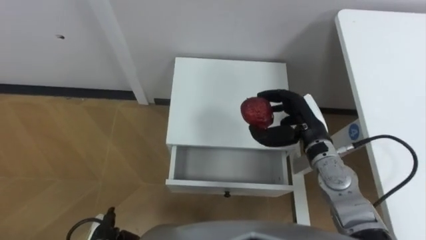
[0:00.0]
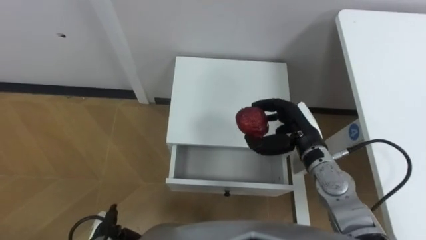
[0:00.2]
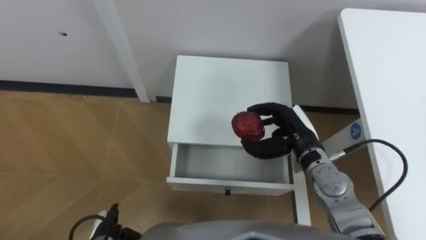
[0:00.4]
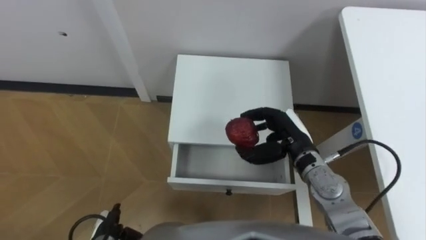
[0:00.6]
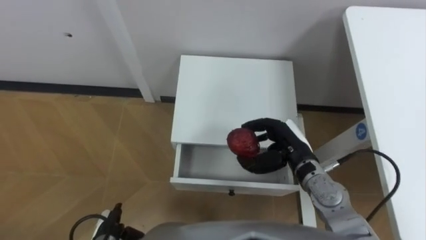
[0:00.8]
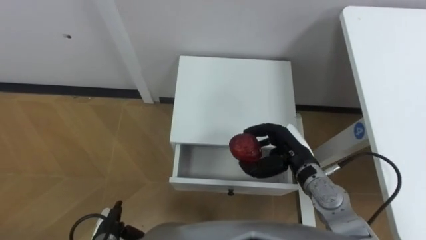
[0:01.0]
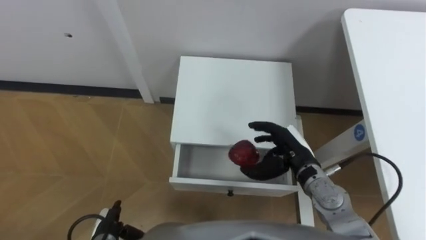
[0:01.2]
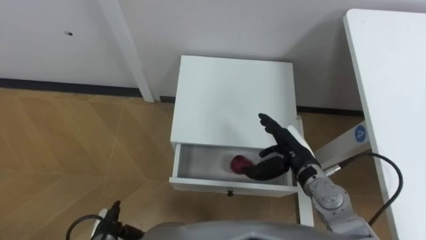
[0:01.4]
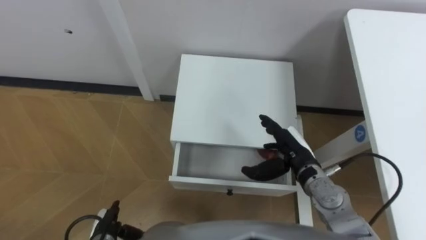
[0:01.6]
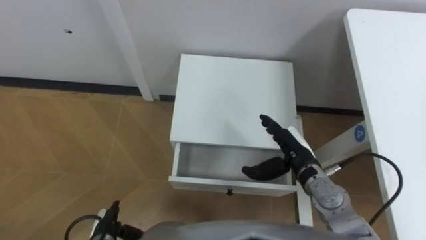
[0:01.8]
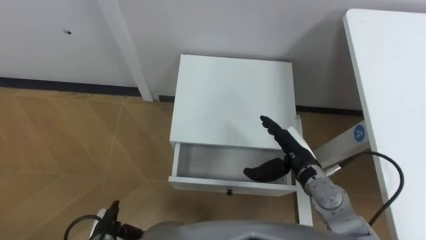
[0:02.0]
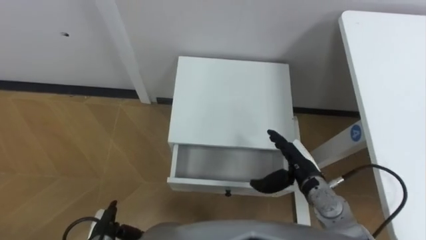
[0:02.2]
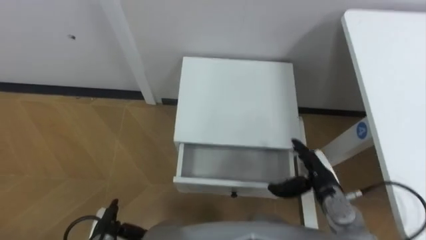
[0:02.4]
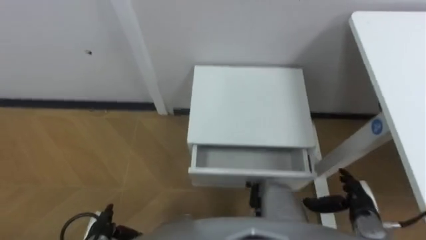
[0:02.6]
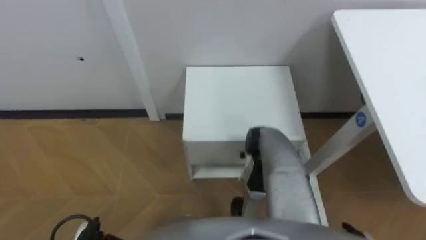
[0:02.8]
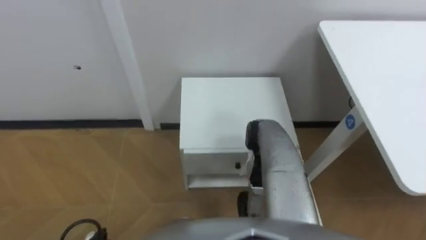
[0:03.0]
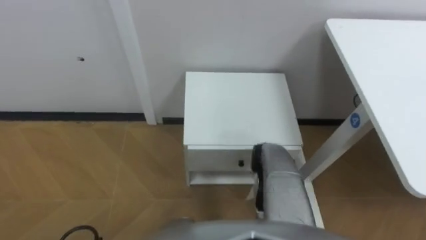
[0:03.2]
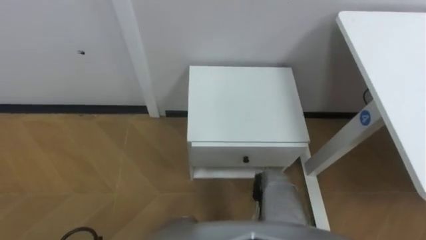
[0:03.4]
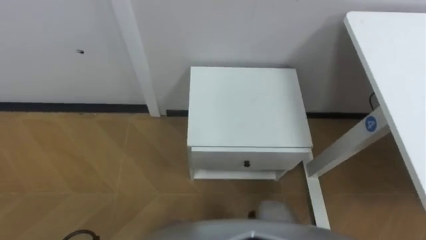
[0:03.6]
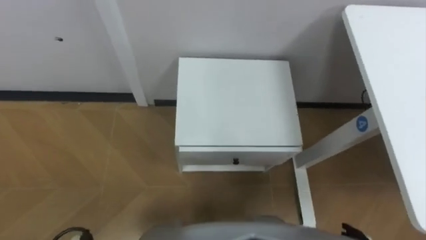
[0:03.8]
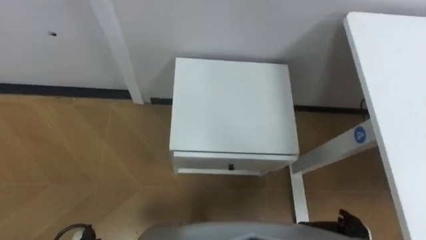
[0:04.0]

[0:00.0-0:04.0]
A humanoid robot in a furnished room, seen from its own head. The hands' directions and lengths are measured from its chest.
Task of the whole recording: Pick up the apple from the table, put it in the drawer, and close the drawer with leg.
0.0 to 1.4 s: The right hand ends up about 5 cm from where it was, and opens.
1.4 to 2.6 s: The right hand travels to the right, backward and downward by roughly 20 cm.

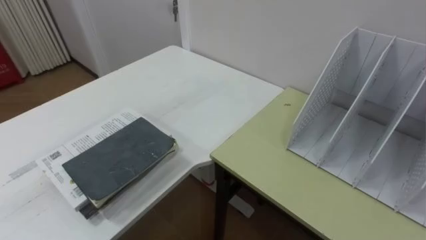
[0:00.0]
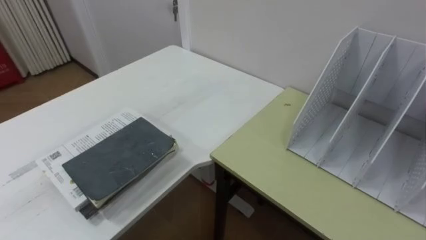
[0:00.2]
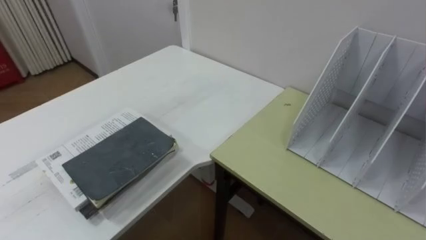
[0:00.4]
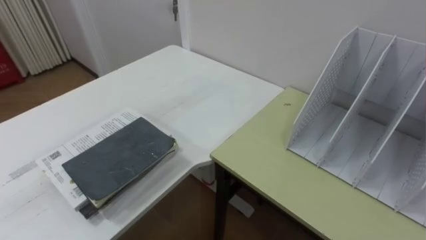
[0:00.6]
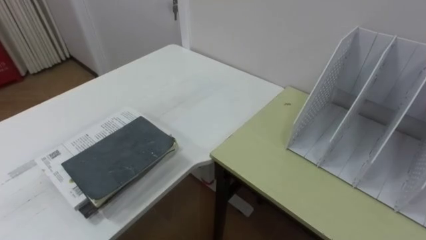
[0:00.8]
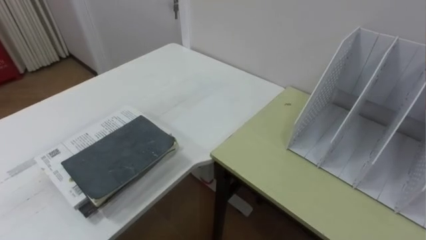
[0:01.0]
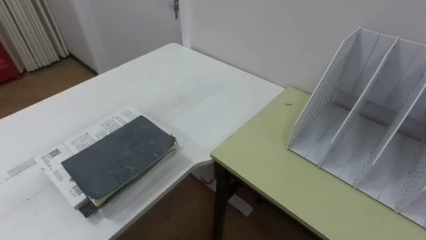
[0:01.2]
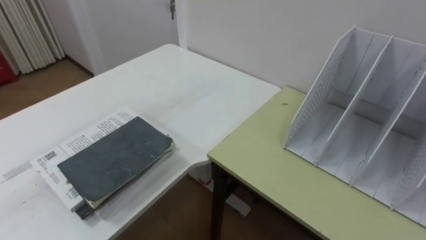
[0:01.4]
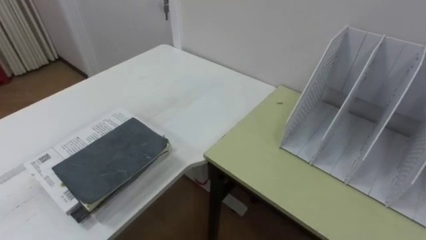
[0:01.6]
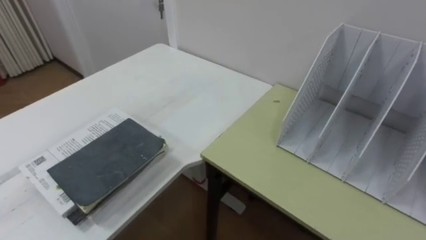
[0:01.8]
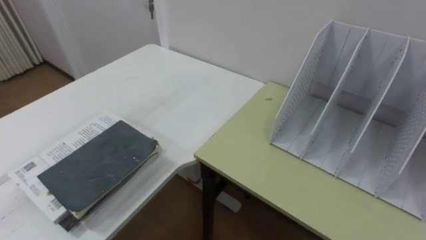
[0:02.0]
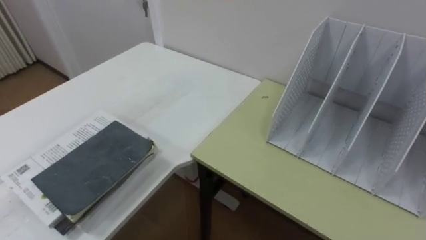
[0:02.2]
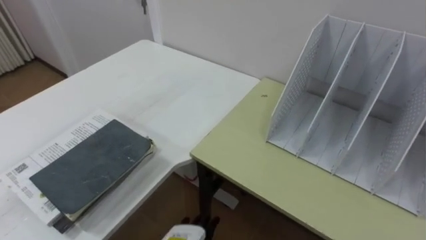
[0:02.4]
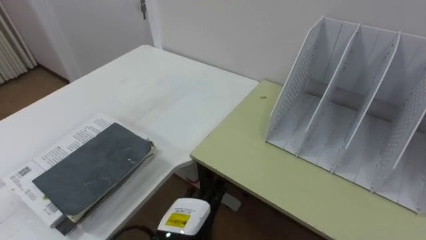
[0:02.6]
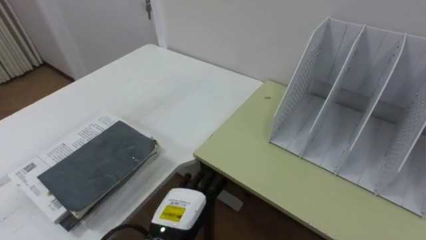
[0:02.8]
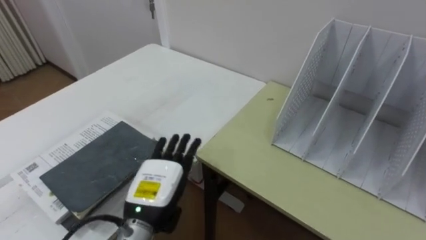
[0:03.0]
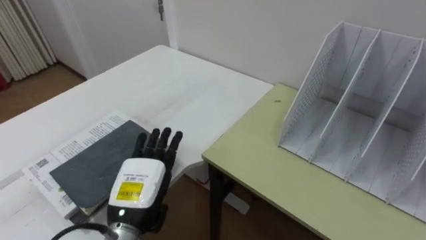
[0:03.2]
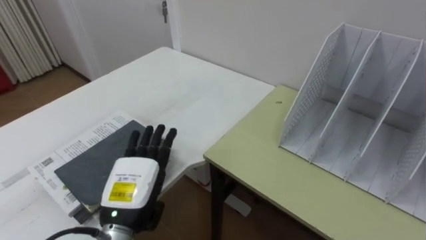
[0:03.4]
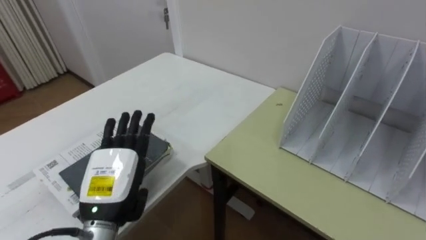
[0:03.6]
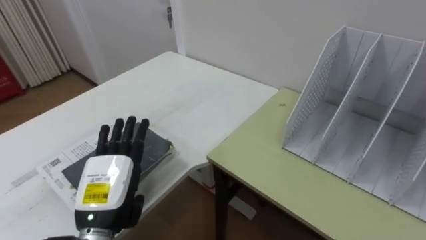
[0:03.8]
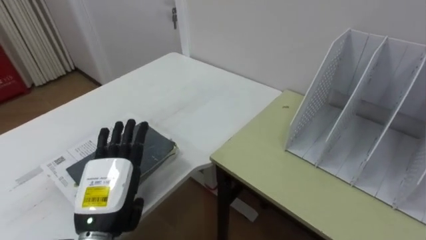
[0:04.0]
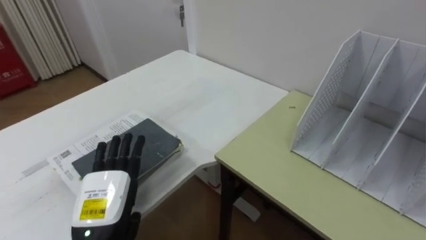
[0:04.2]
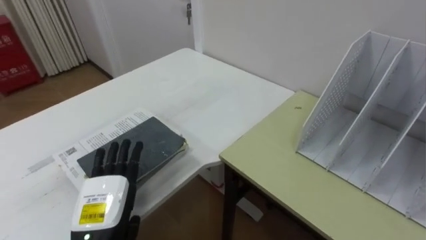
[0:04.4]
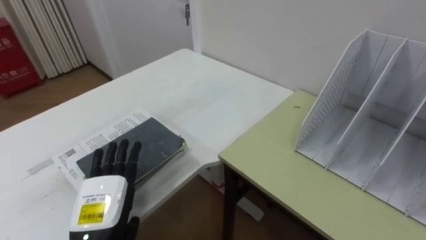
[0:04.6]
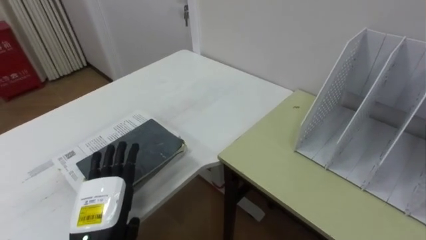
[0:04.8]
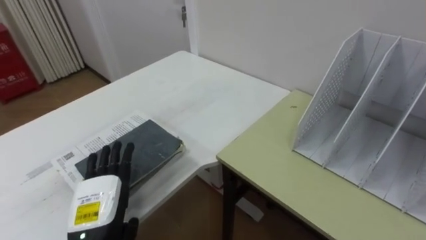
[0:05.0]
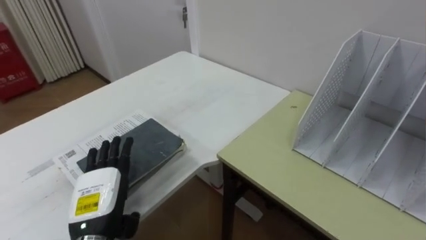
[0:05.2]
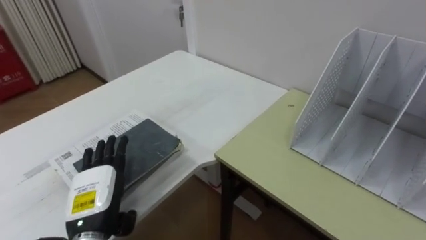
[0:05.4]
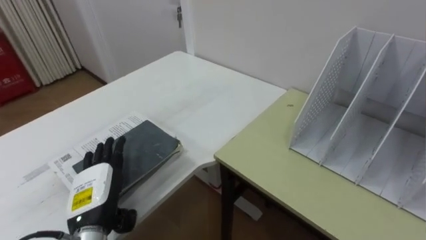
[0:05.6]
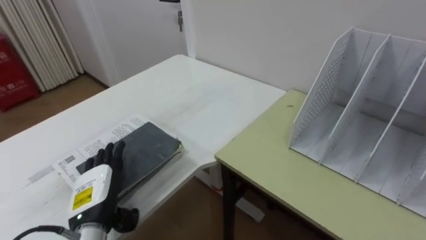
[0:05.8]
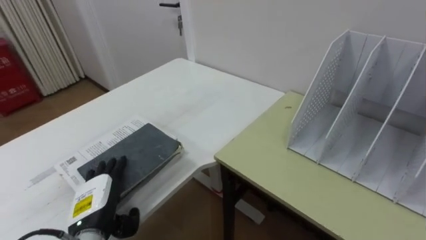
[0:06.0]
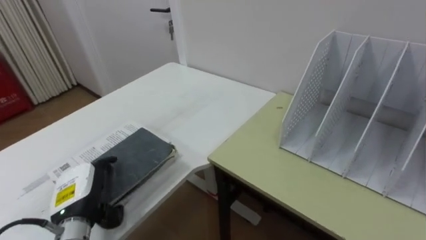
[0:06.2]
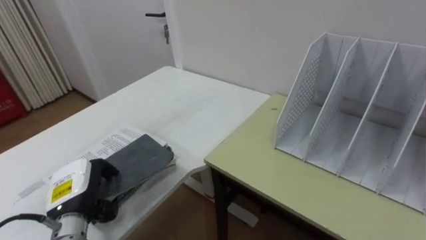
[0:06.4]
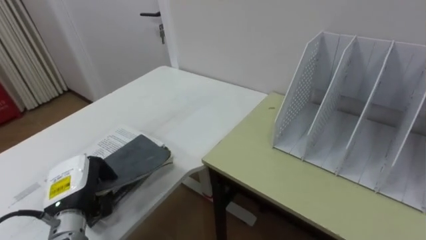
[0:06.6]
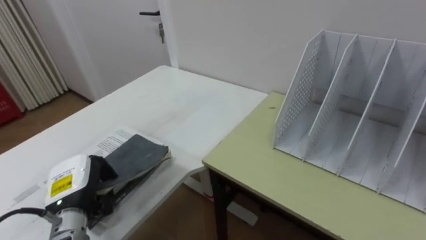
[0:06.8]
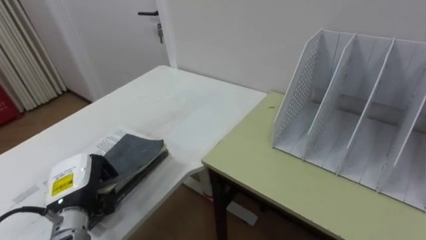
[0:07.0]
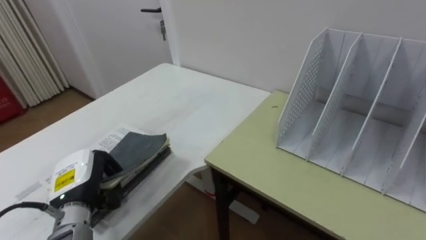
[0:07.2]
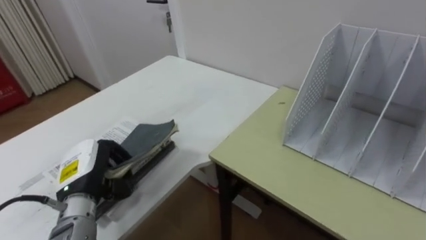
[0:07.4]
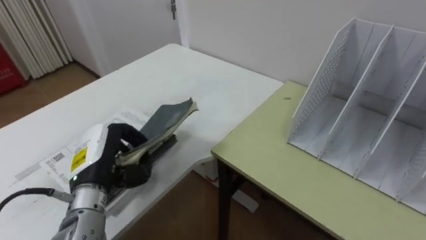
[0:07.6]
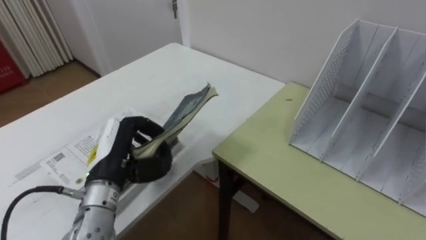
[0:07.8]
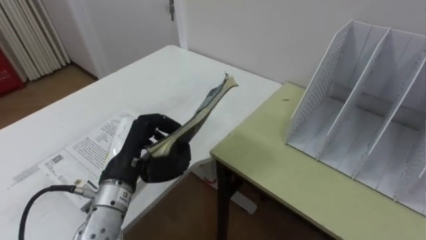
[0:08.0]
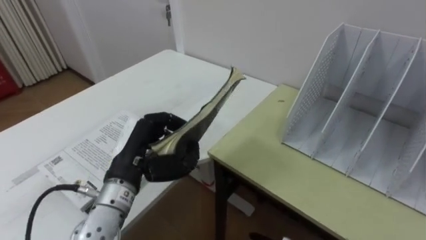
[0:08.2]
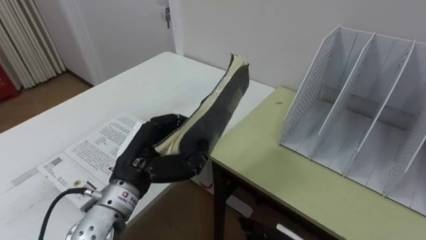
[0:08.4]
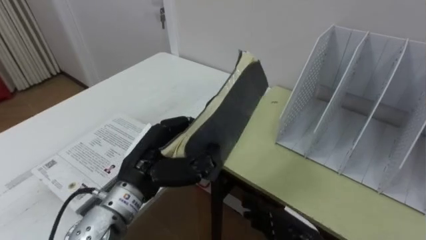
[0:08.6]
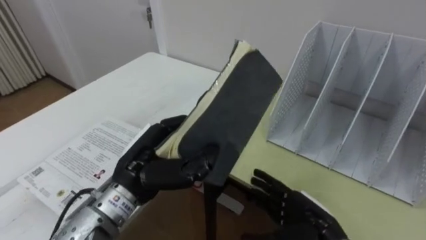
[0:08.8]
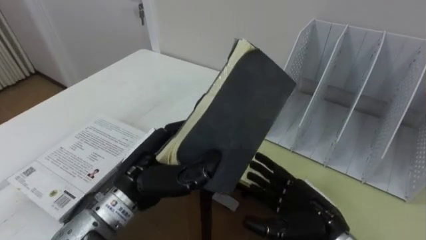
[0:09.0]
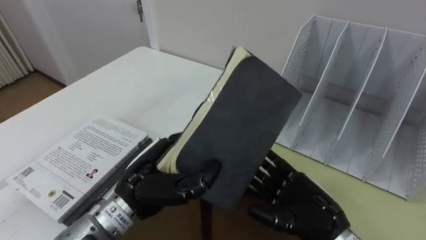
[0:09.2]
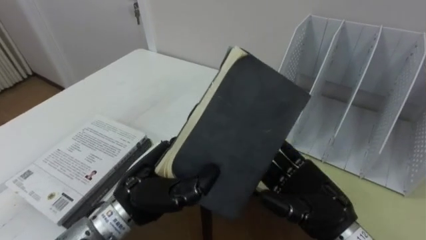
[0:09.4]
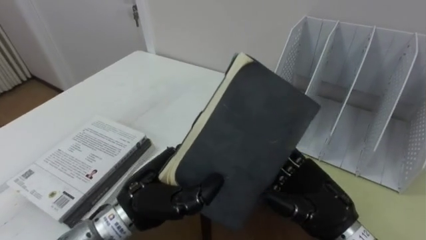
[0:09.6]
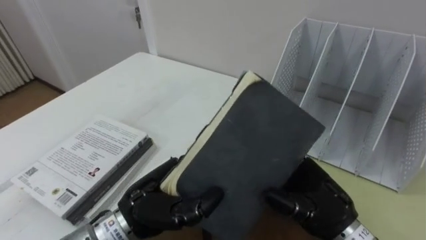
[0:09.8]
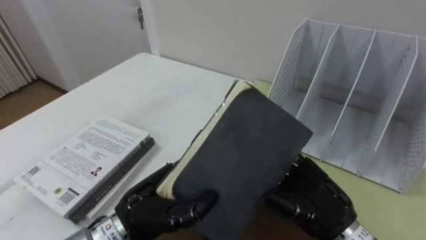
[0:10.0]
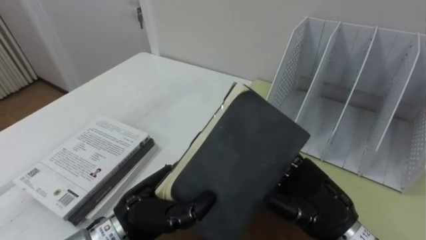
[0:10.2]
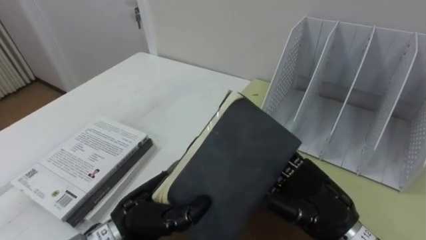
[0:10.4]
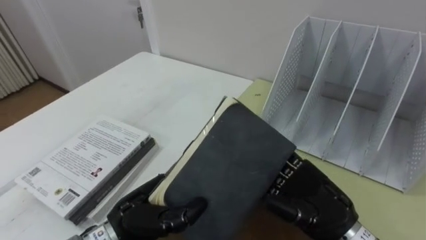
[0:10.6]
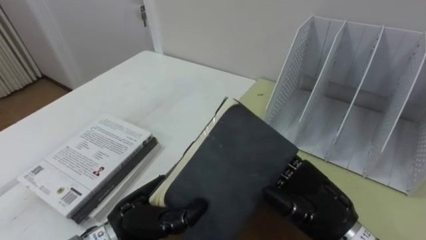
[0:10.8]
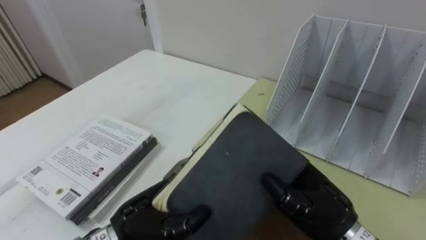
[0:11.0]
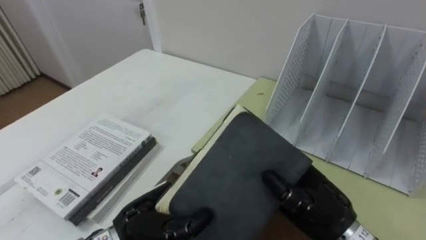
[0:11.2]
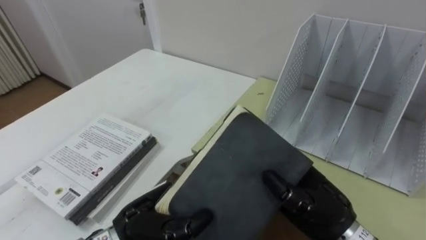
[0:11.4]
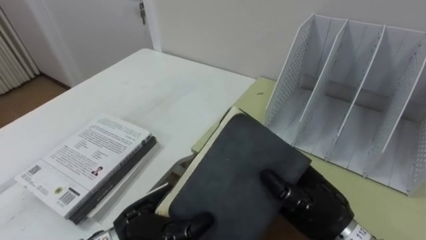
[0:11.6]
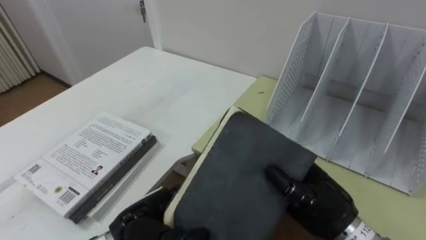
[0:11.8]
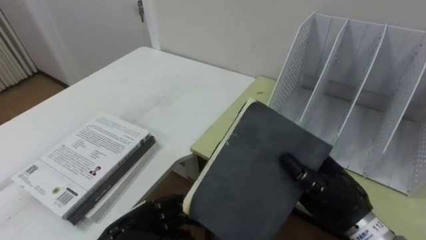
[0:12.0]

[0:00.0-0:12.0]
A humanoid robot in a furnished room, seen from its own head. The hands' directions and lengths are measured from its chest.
Task of the whole recording: Put the books on the table onto the bookshelf.
3.0 to 4.4 s: The left hand goes about 10 cm to the left.
4.4 to 6.0 s: The left hand ends up roughly 5 cm from where it was.
6.0 to 7.6 s: The left hand travels upward by about 10 cm, and closes its fingers.
7.6 to 9.0 s: The left hand moves to the right, about 10 cm.
9.0 to 10.4 s: The left hand shifts about 5 cm downward. The right hand goes approximately 5 cm upward.
10.4 to 12.0 s: The left hand is displaced downward by about 5 cm. The right hand closes.

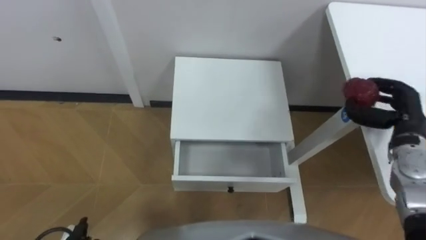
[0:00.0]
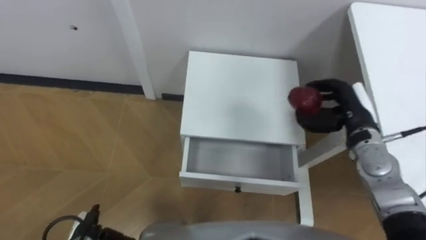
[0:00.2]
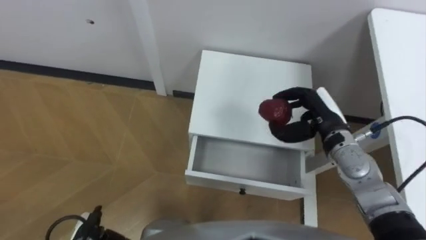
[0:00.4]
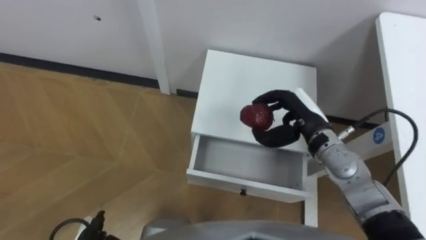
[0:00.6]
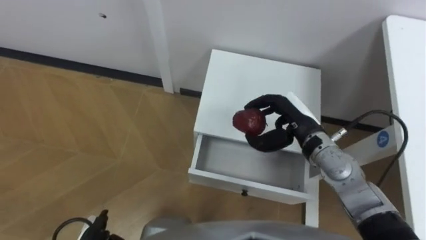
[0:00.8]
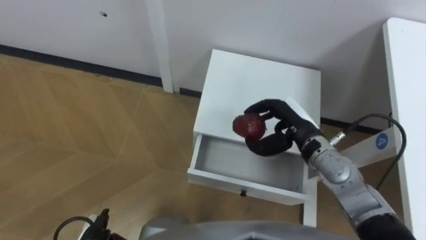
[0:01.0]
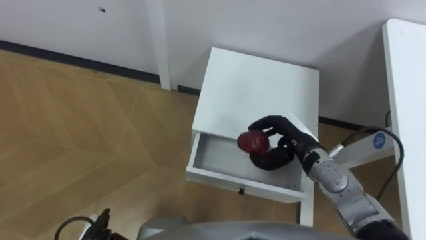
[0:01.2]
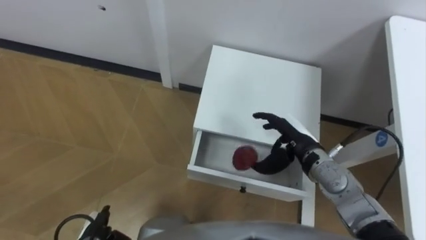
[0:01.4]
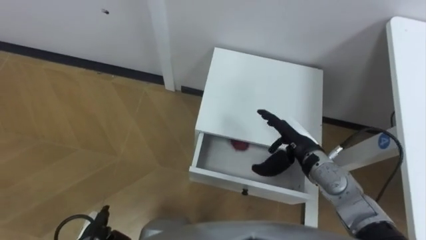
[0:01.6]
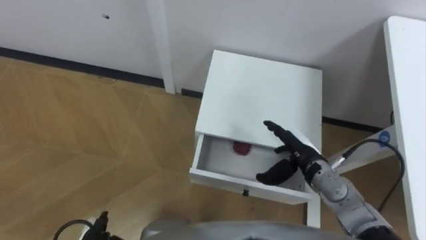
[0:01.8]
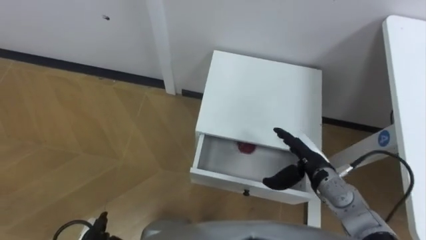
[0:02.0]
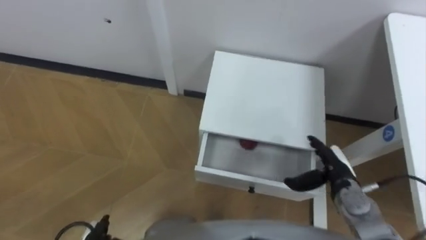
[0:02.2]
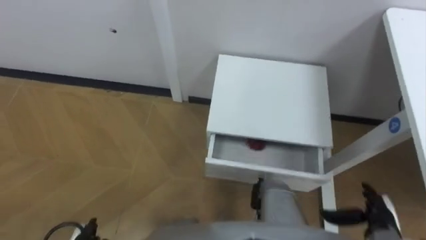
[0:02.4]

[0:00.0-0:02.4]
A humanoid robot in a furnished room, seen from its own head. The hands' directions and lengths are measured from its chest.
Task of the whole recording: Pick up the apple from the table, put it in the drawer, and close the drawer with leg.
0.0 to 1.2 s: The right hand goes roughly 20 cm to the left.
1.2 to 2.4 s: The right hand shifts about 25 cm to the right, backward and downward, and opens up.
